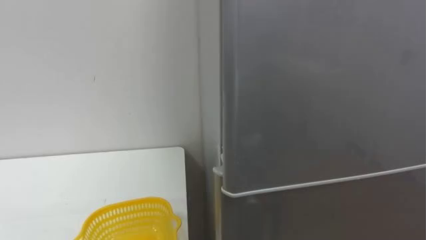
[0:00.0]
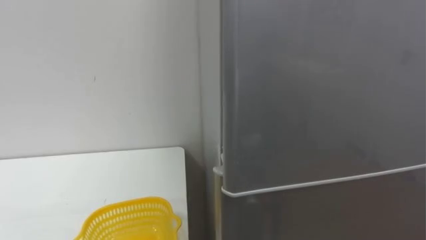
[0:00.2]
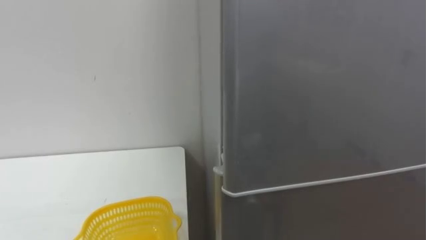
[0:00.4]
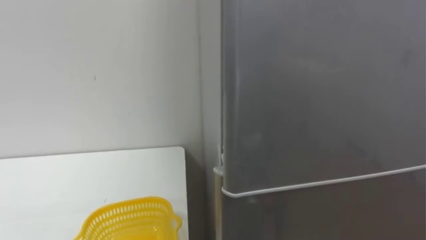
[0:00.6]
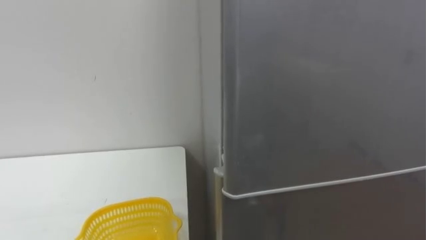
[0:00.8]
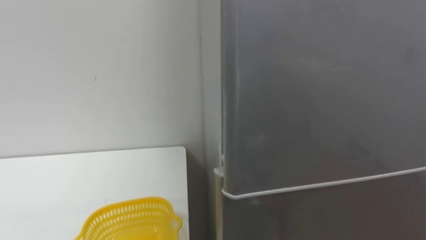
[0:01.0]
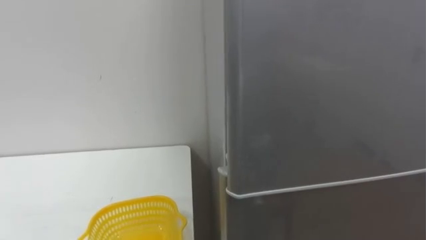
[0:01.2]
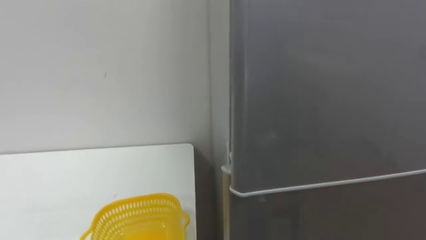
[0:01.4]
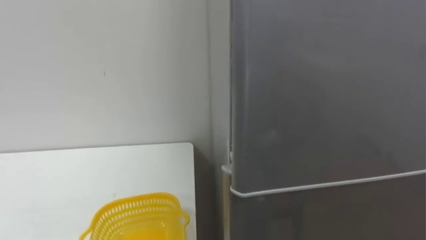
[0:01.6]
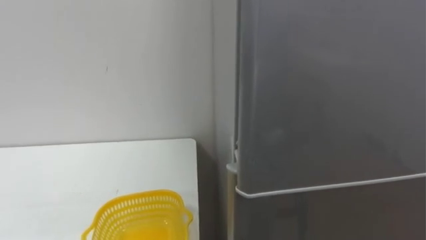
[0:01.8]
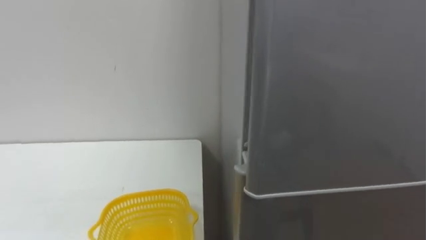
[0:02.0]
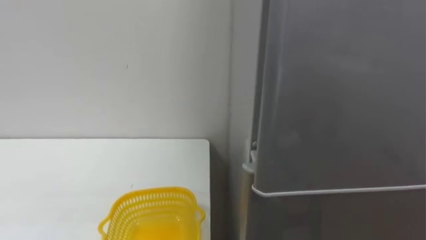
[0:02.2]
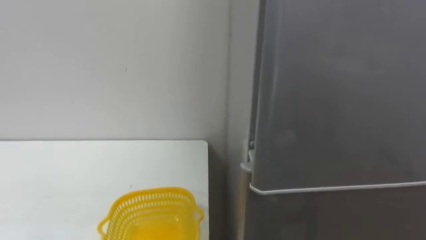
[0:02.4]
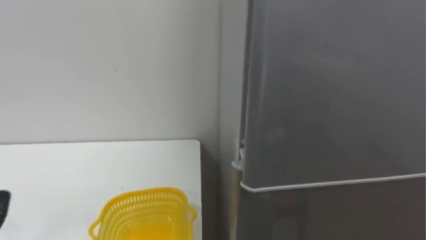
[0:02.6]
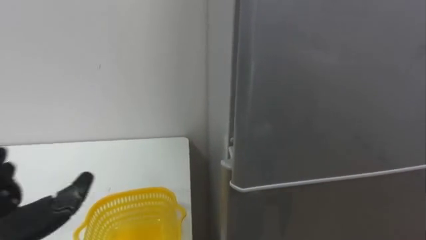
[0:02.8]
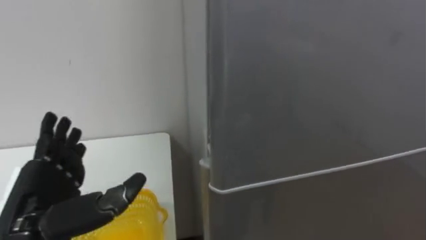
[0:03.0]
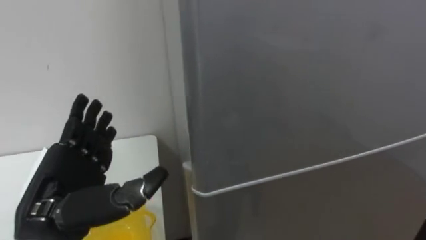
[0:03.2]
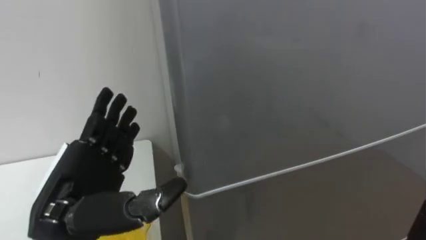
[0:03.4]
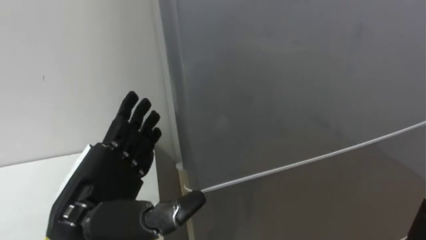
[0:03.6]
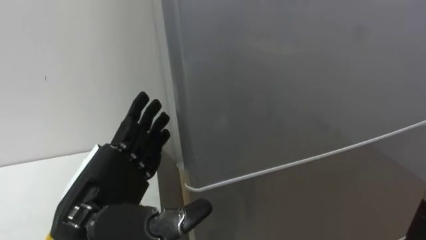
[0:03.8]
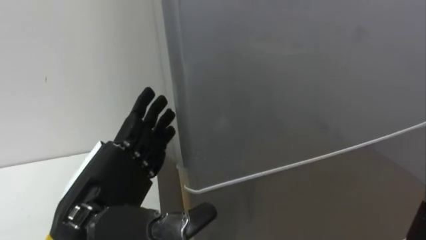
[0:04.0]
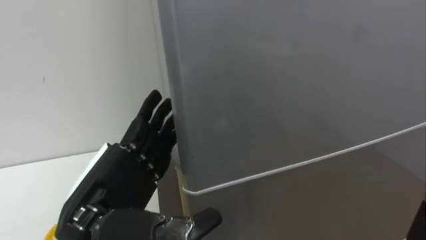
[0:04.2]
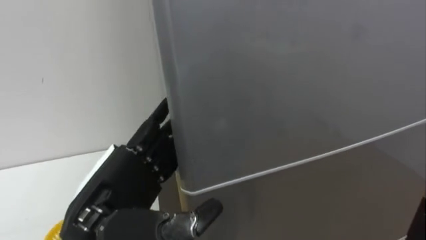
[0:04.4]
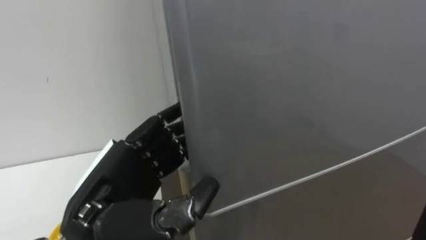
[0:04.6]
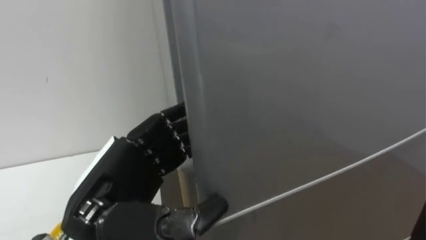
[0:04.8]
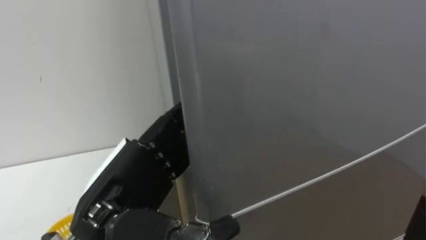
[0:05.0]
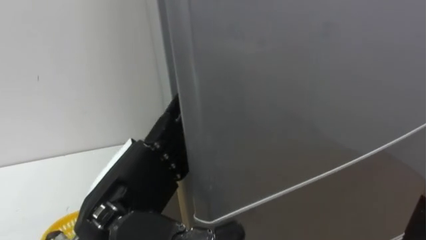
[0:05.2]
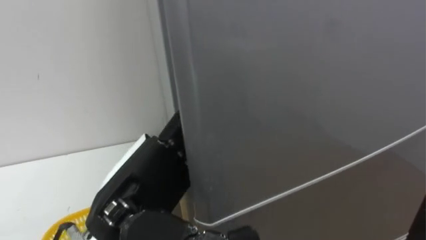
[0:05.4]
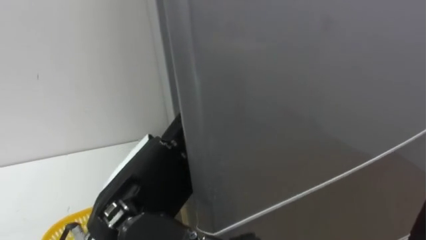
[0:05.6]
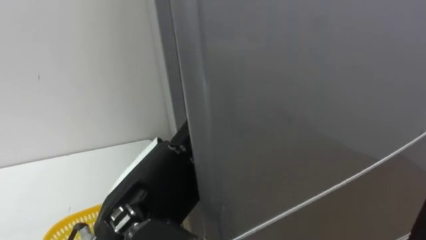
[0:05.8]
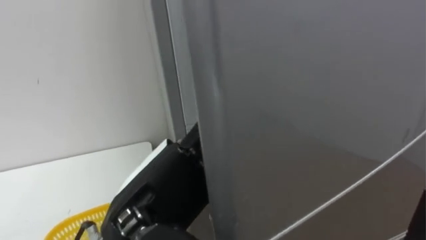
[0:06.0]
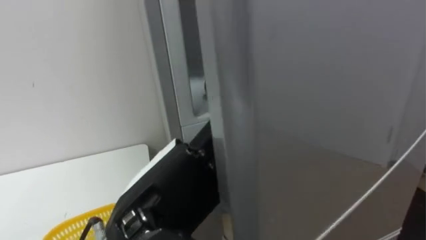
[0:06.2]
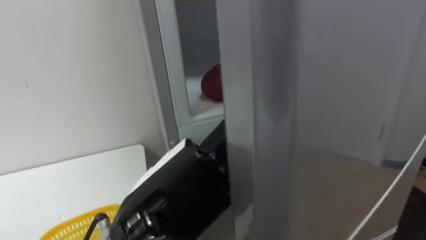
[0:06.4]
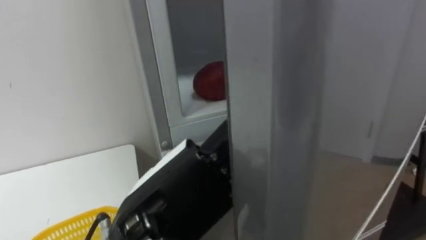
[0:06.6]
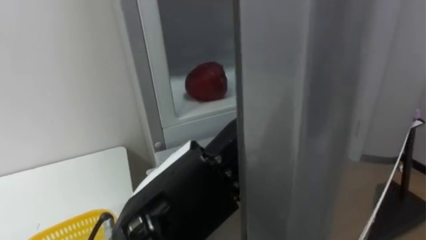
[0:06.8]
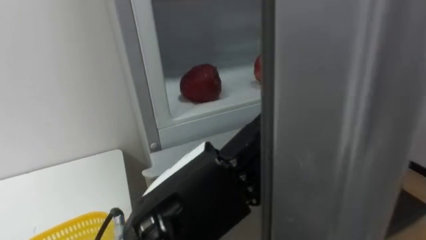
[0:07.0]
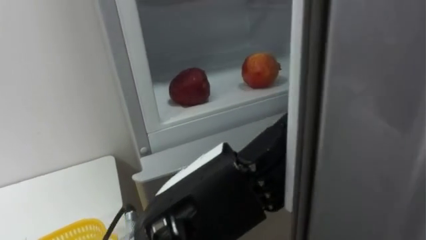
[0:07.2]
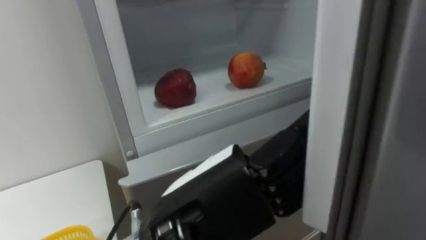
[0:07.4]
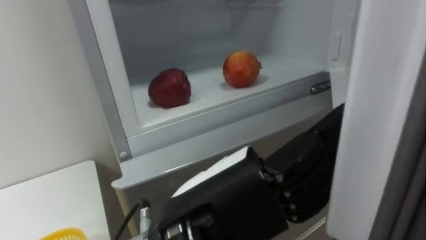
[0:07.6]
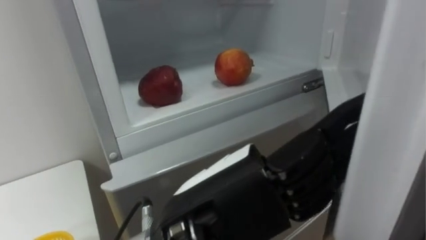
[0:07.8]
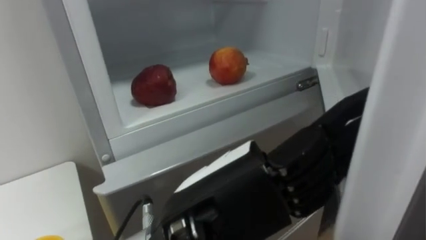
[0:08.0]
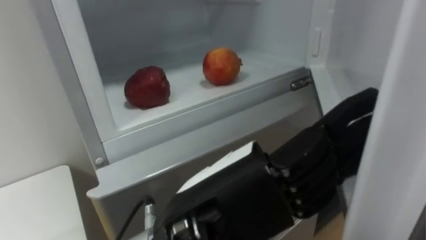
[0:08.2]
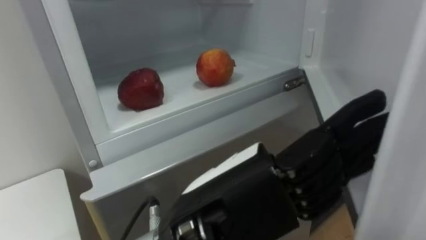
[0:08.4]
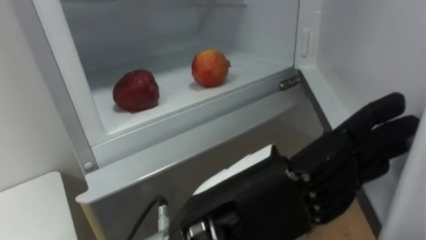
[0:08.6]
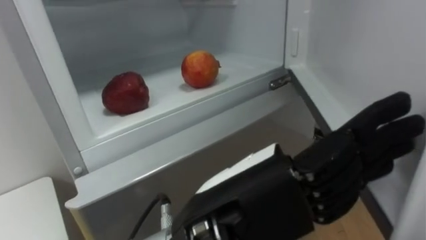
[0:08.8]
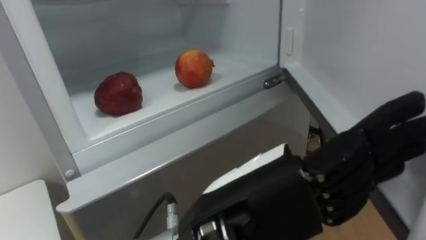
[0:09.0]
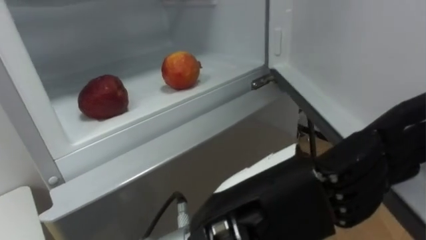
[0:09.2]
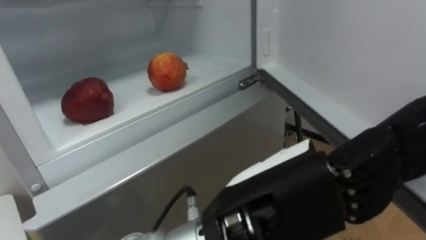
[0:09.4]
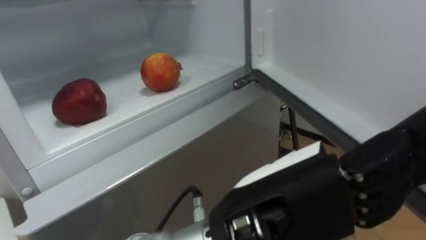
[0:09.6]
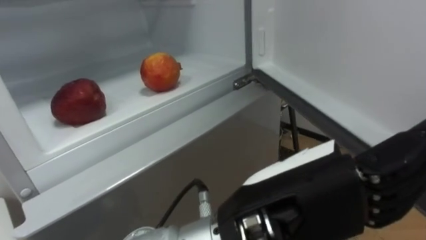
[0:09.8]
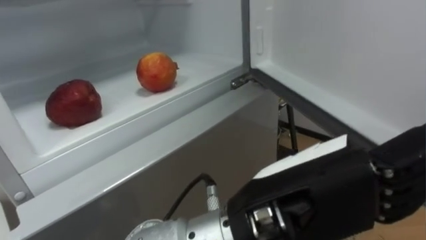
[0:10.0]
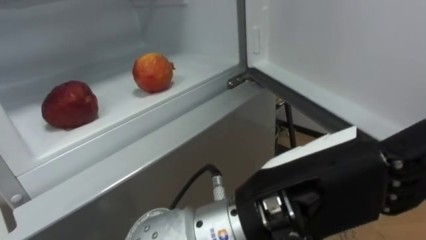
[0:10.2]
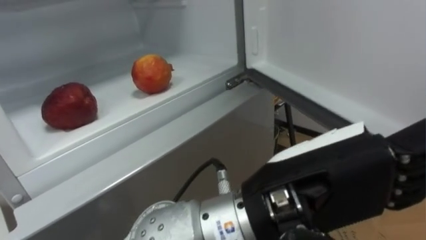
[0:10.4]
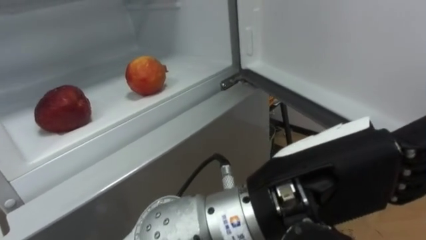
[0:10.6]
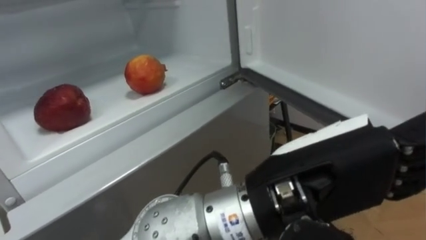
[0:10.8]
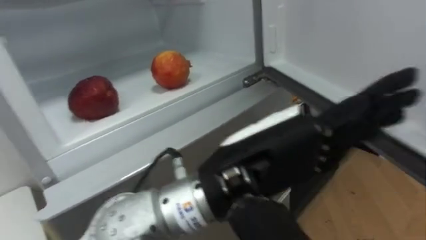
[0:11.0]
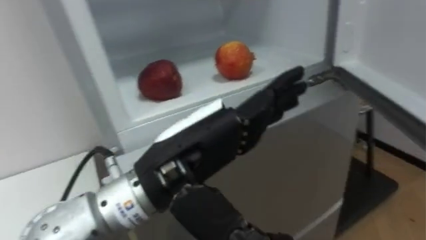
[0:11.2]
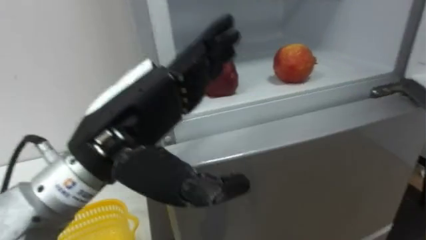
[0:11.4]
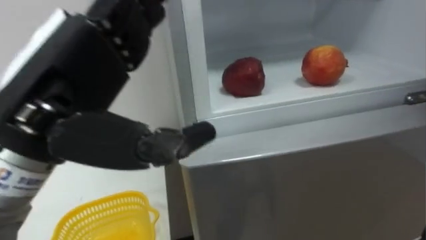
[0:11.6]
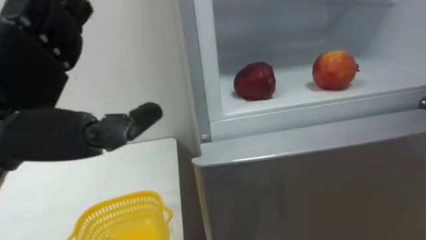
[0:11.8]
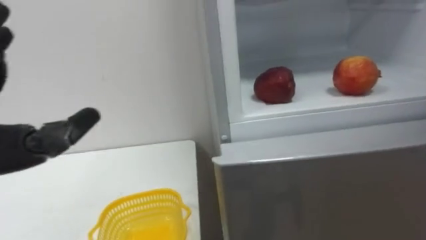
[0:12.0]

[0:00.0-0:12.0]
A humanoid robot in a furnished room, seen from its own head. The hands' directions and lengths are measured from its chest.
Task of the whole recording: Open the refrigerator door, take out the apple and the pomegranate, place them in the fruit basket on the left, and close the refrigerator door.
0:03.0 to 0:04.4: The left hand travels to the right by some 10 cm.
0:04.4 to 0:06.0: The left hand goes about 5 cm to the right.
0:06.0 to 0:07.6: The left hand heads to the right, covering roughly 5 cm.
0:09.0 to 0:10.4: The left hand shifts approximately 5 cm to the right.

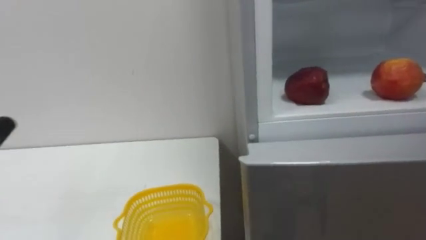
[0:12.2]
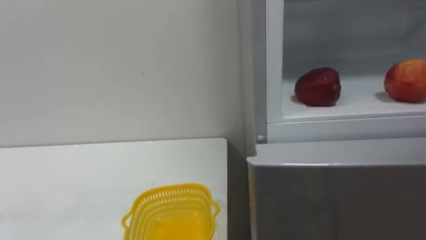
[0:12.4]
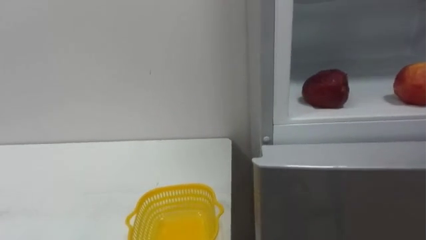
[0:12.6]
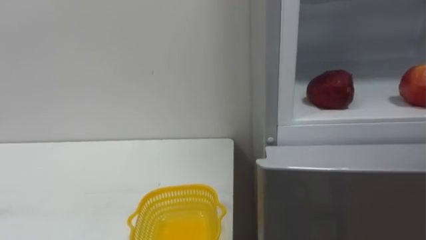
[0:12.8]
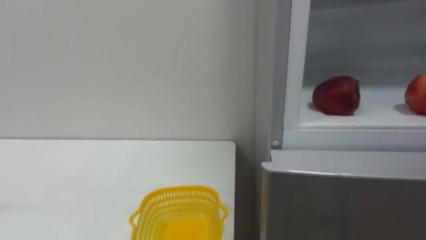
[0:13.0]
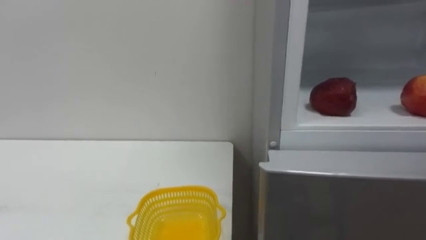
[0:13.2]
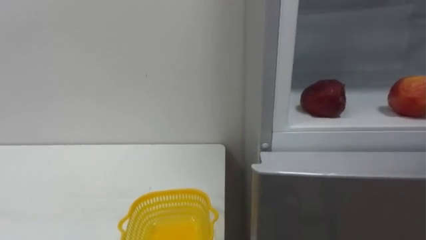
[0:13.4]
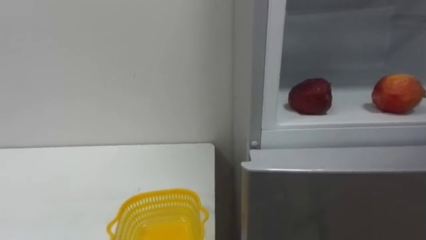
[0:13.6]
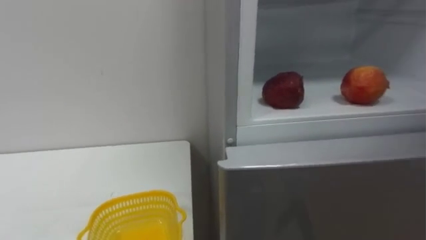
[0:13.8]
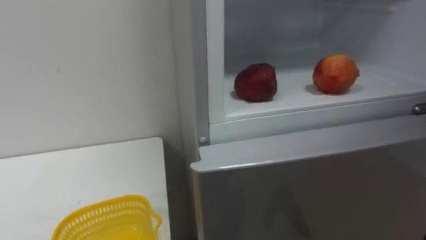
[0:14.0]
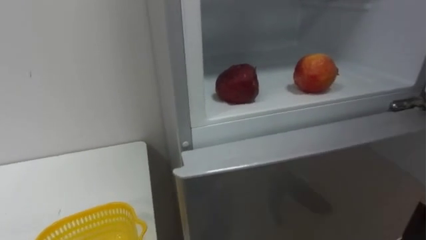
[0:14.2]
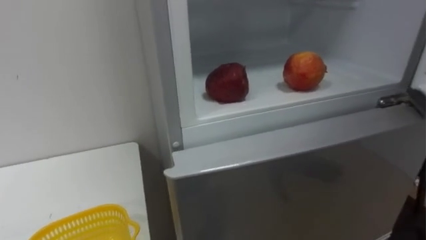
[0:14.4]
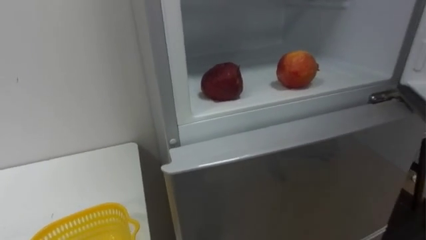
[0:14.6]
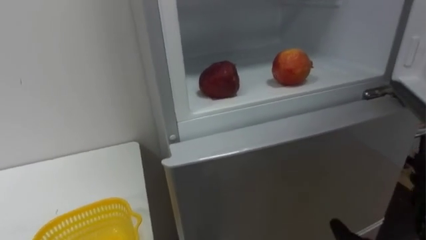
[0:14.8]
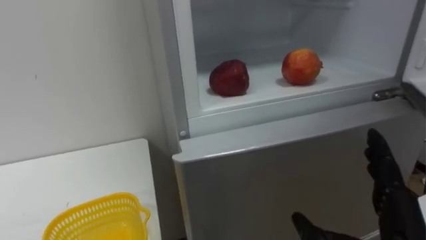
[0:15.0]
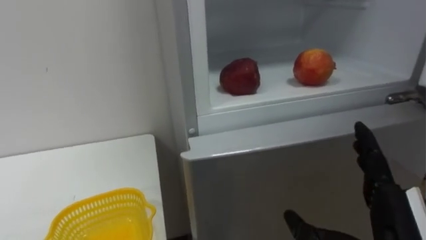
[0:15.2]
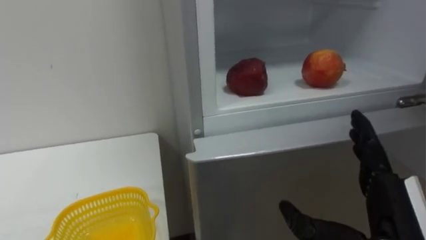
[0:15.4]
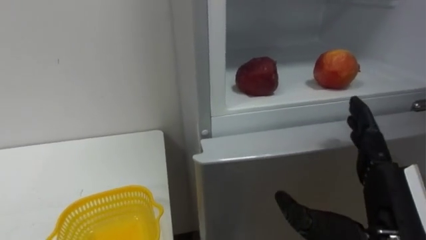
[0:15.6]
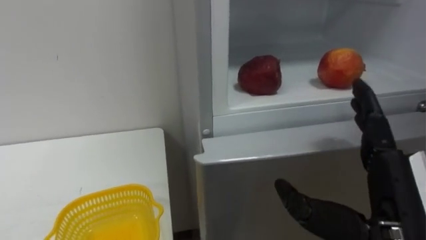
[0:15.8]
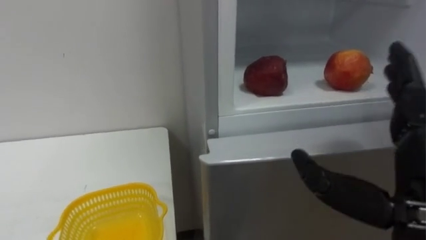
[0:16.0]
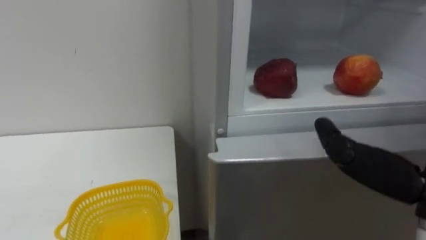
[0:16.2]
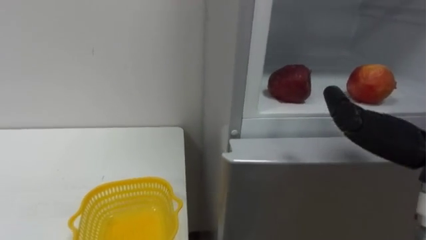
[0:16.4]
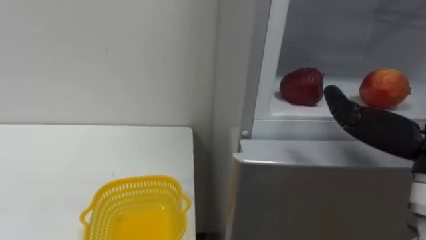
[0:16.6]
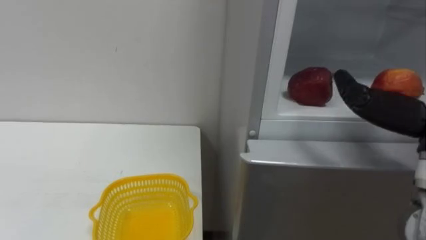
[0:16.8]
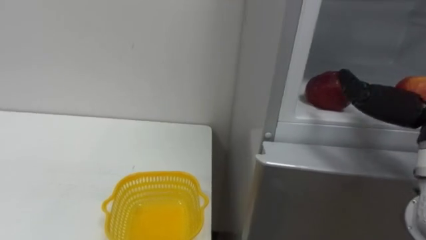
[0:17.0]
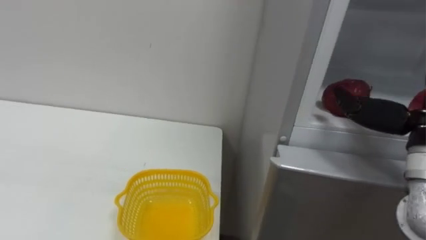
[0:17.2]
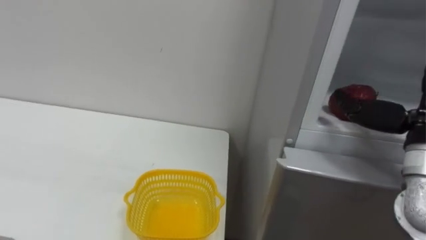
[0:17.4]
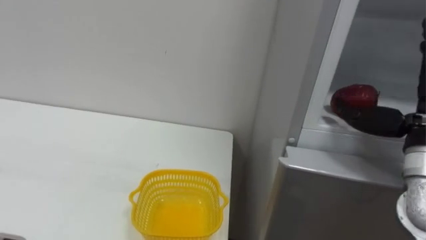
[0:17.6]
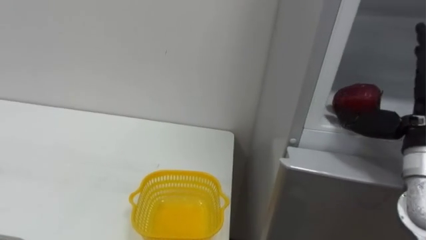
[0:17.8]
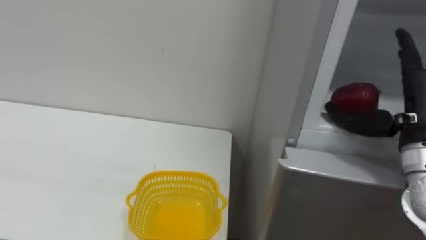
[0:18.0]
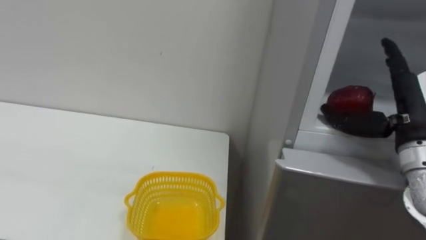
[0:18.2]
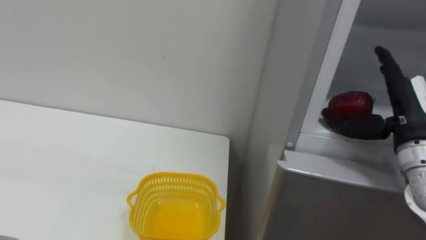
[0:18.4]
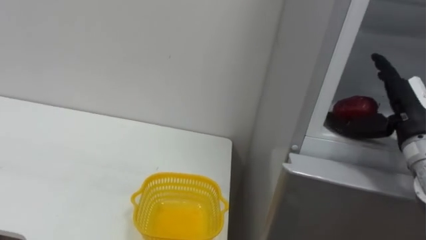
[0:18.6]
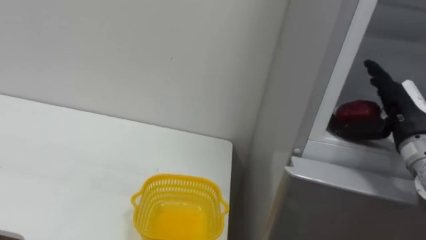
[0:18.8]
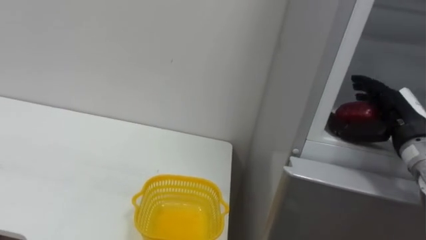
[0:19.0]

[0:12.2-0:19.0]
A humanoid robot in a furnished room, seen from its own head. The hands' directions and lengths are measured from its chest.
Task of the whole recording: Open the refrigerator door, take out the apple and the pomegranate, place them in the fruit basket on the left, and close the refrigerator door.
0:17.6 to 0:19.0: The right hand moves forward and downward, some 10 cm.
